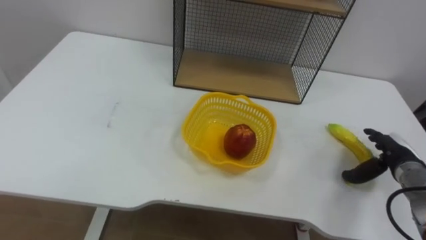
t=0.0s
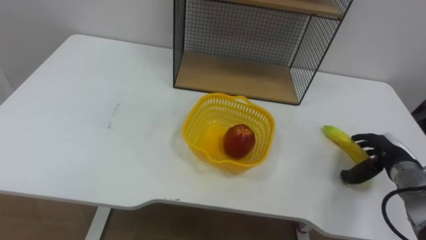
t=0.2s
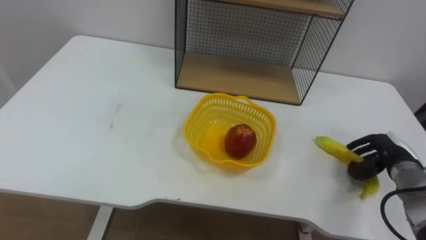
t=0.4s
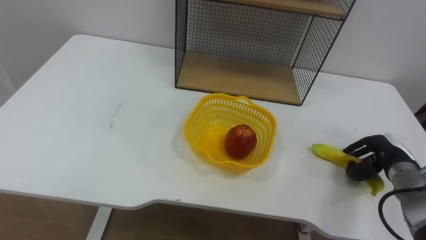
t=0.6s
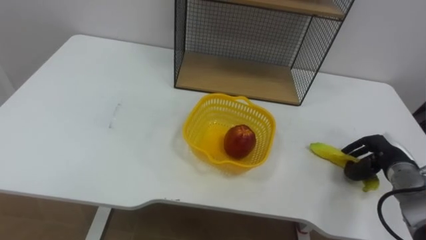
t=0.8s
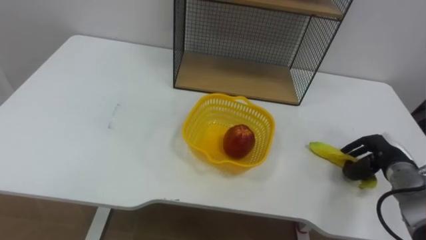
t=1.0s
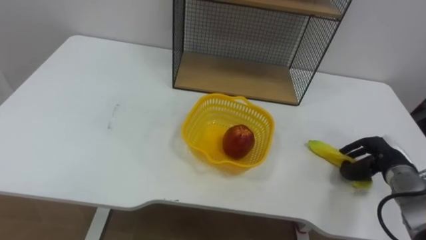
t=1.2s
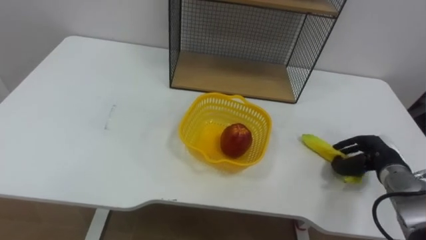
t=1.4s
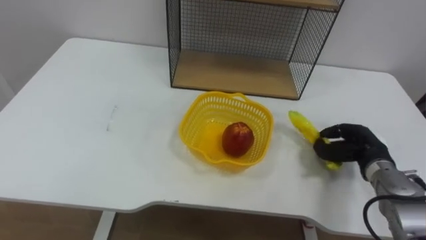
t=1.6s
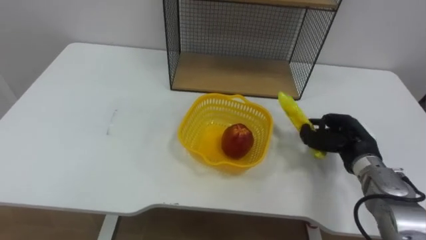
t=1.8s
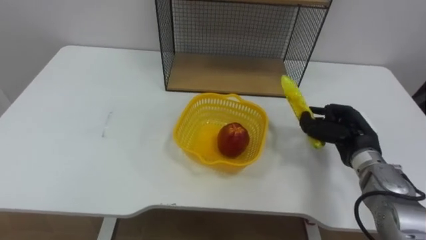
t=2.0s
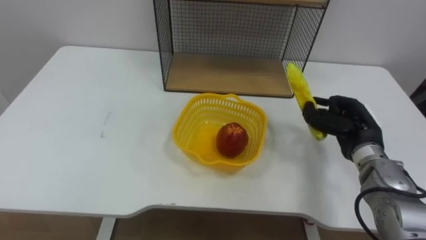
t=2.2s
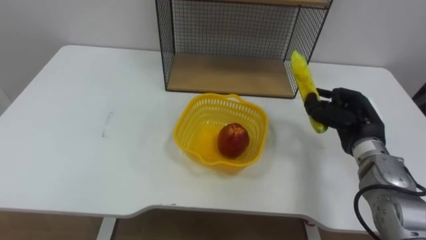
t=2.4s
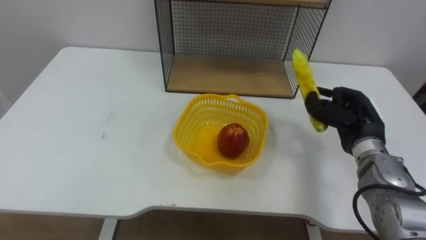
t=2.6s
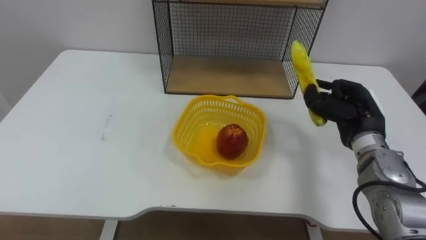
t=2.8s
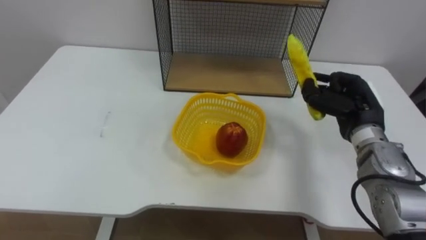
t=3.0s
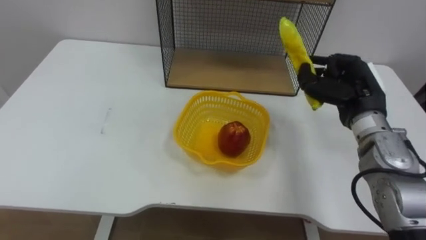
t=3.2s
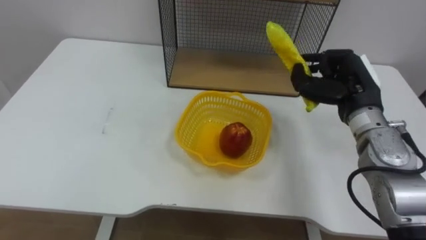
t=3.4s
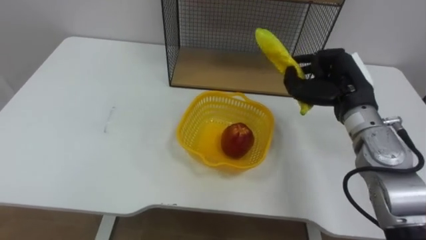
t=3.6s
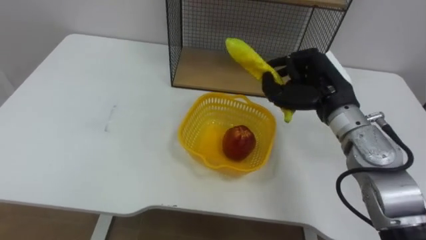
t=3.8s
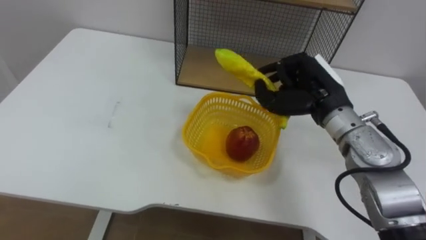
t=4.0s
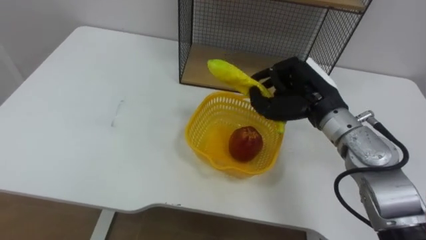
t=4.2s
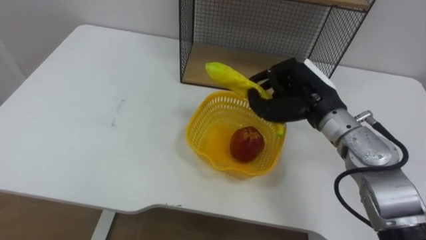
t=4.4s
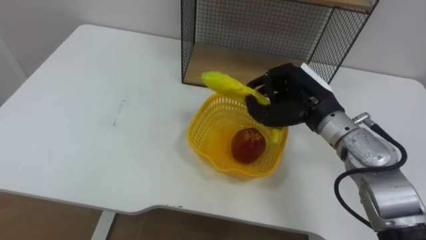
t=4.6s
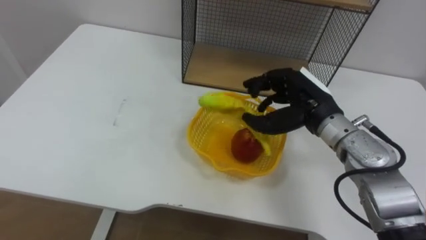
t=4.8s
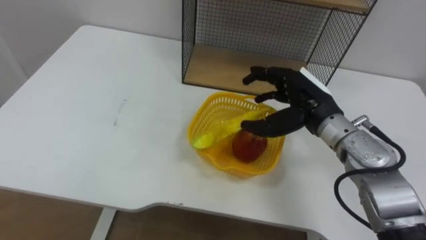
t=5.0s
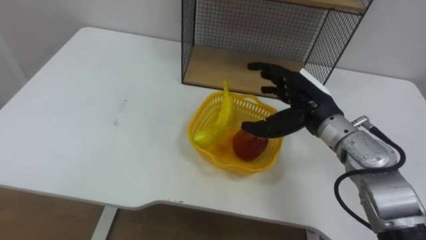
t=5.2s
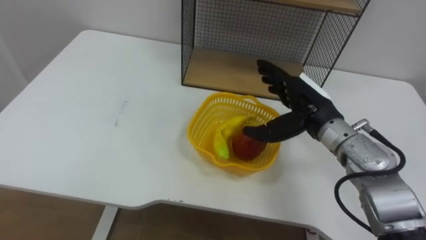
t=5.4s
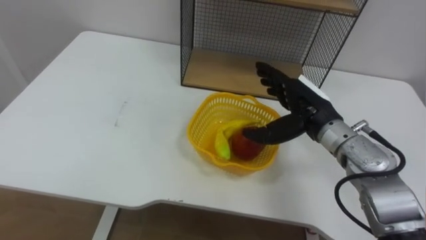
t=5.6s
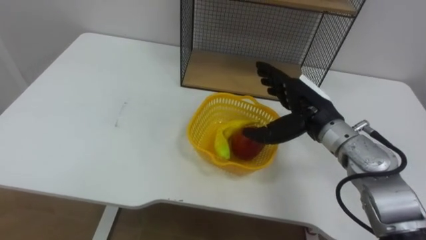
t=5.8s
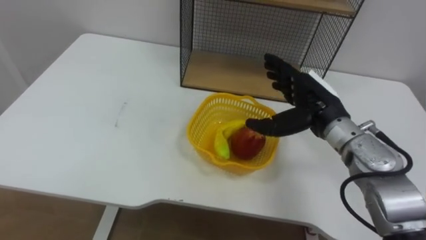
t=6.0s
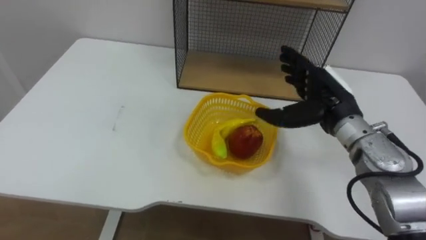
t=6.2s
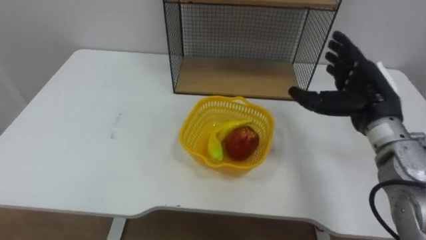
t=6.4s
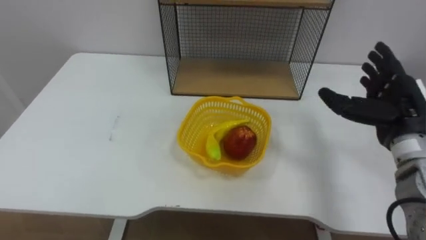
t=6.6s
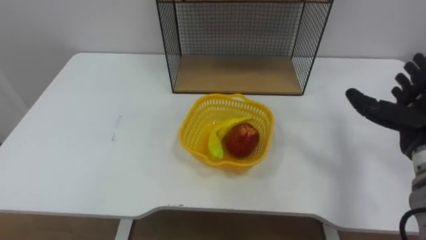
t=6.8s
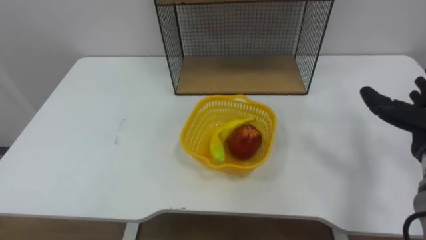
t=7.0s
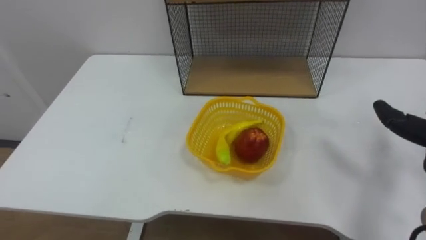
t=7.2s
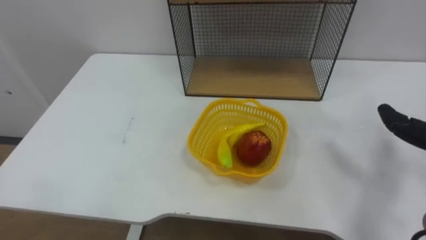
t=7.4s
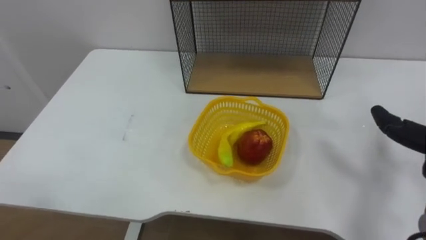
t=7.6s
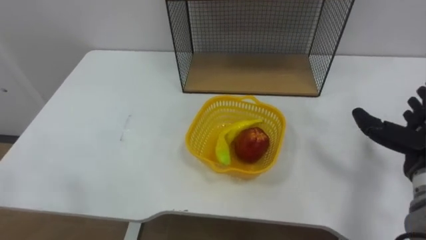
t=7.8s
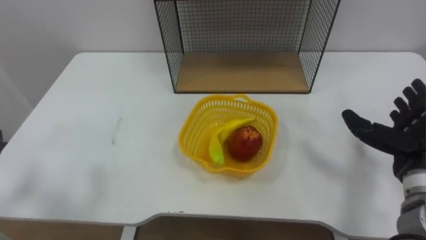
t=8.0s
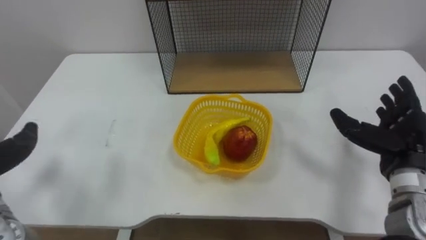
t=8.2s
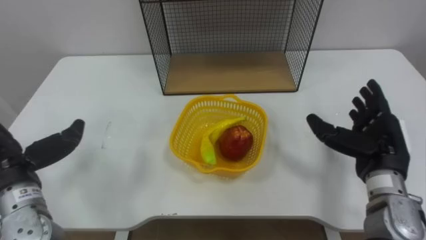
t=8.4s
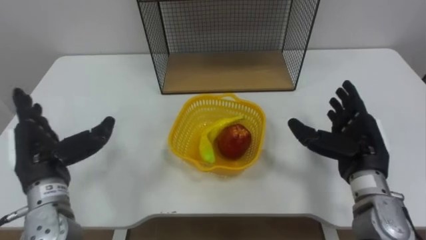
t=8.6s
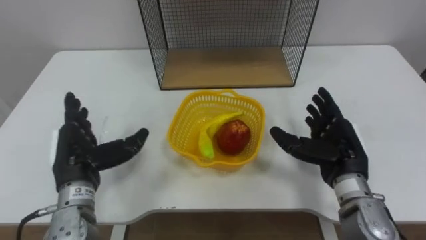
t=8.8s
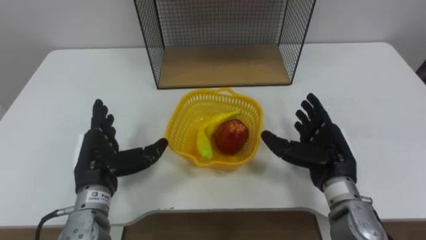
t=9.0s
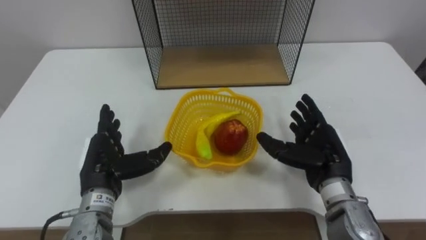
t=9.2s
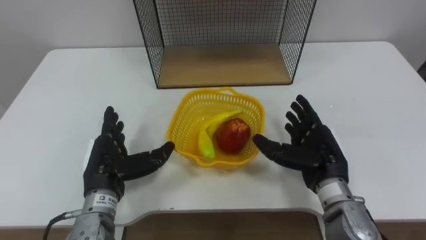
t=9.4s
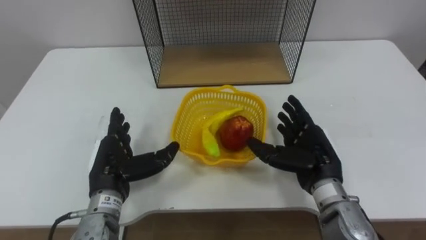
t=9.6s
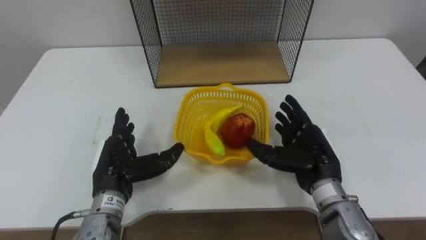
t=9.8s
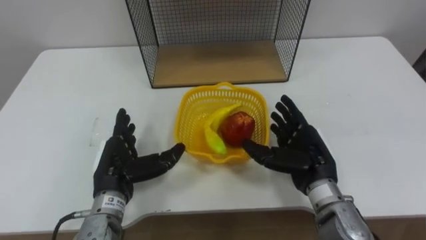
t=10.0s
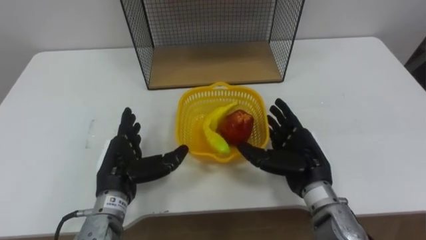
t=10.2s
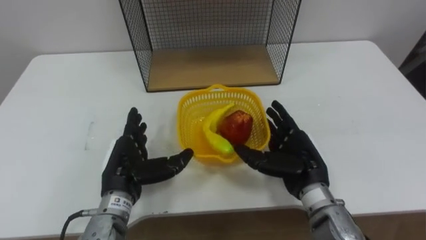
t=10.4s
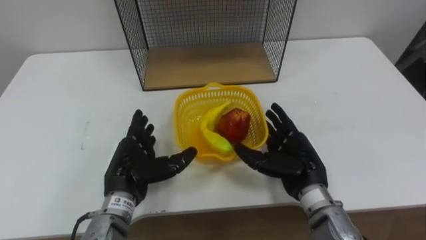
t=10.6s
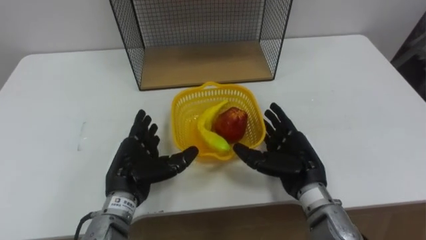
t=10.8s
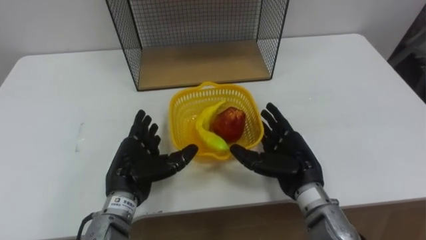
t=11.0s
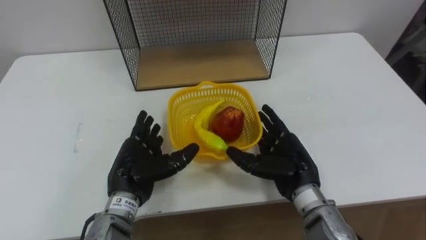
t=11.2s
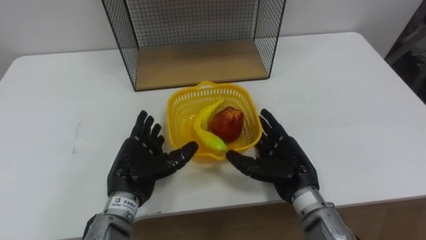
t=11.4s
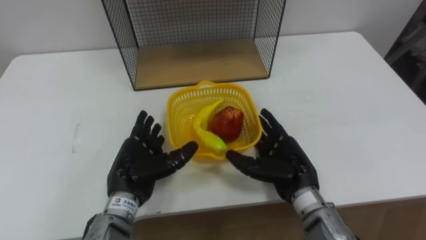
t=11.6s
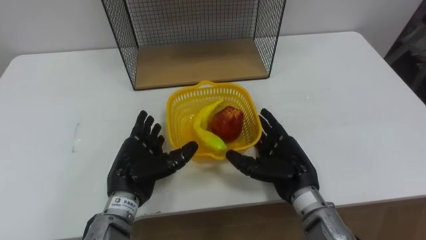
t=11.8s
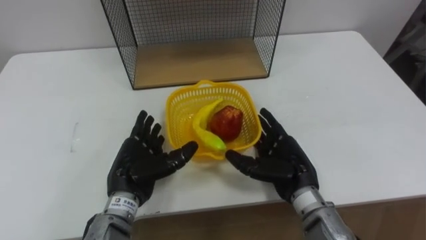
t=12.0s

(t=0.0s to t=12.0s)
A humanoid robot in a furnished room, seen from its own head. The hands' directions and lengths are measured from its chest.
Task of the whole recording: Put the fruit on the table into the basket, then place the basket on the shelf.
t=0.0s - t=1.6s: The right hand shifts about 5 cm to the left, and closes its fingers.
t=1.6s - t=3.0s: The right hand goes roughly 10 cm upward and to the left.
t=3.0s - t=4.4s: The right hand moves to the left, some 10 cm.
t=4.4s - t=6.0s: The right hand opens up.
t=9.0s - t=10.4s: The right hand changes place by approximately 5 cm.

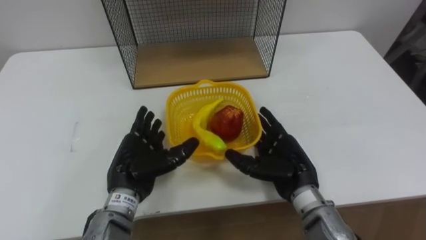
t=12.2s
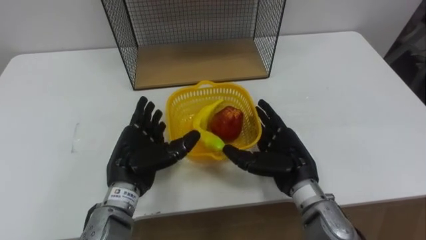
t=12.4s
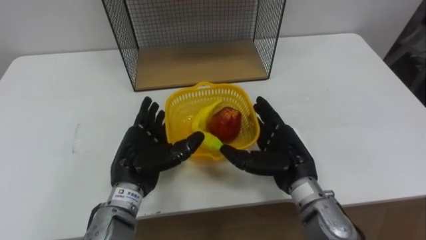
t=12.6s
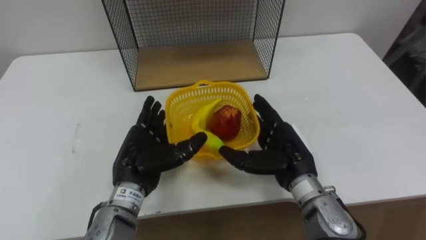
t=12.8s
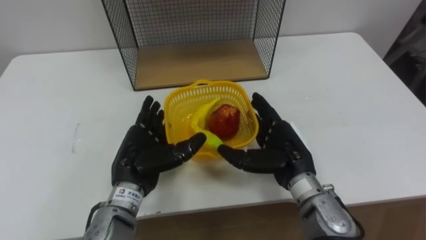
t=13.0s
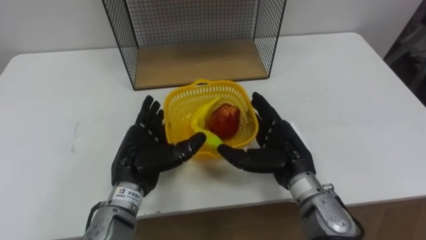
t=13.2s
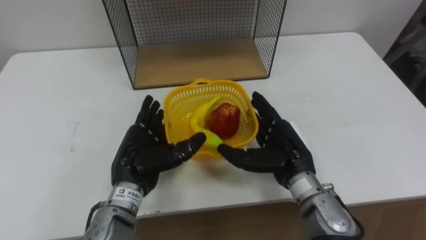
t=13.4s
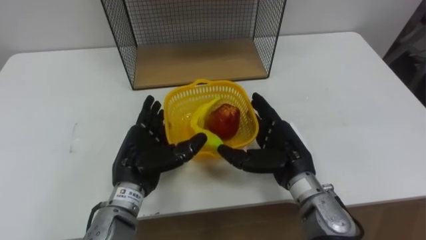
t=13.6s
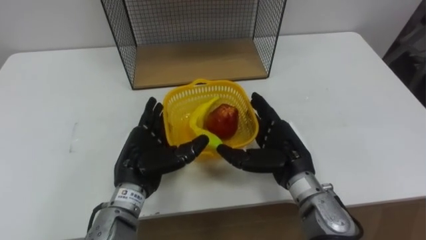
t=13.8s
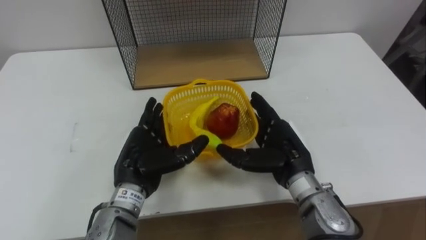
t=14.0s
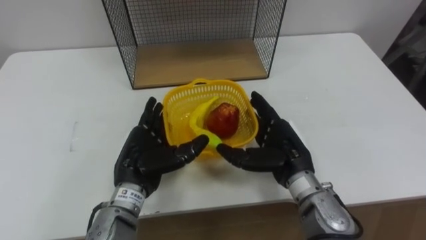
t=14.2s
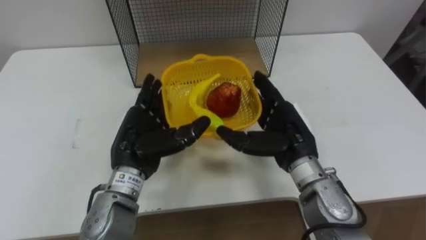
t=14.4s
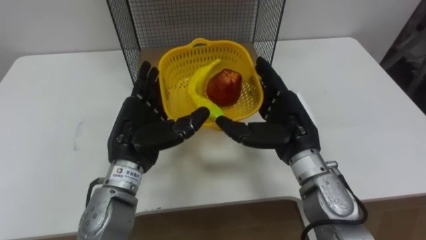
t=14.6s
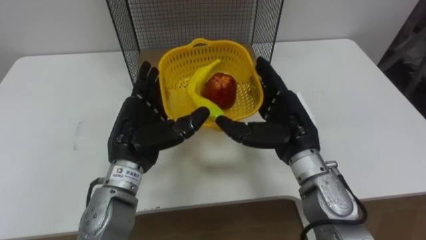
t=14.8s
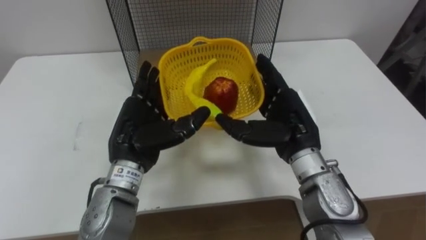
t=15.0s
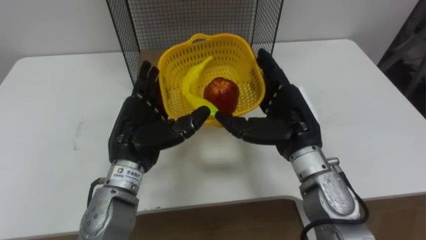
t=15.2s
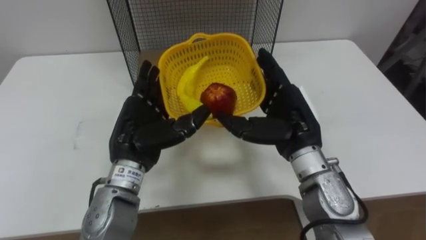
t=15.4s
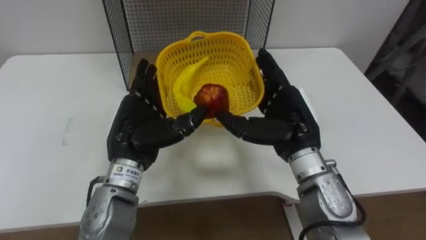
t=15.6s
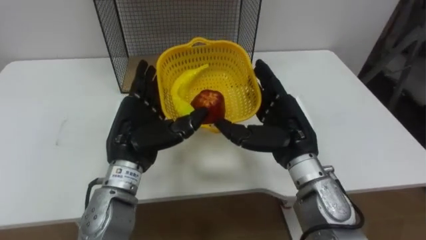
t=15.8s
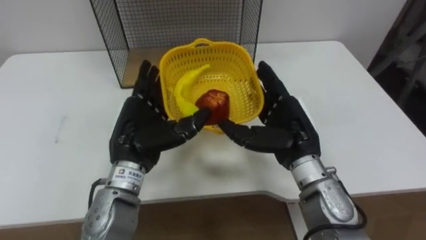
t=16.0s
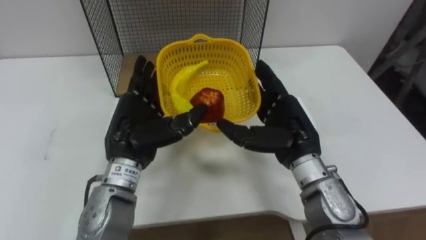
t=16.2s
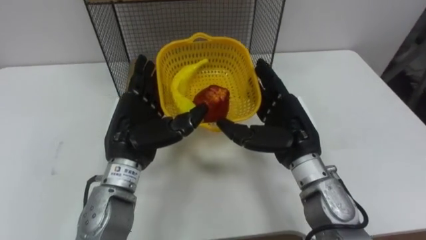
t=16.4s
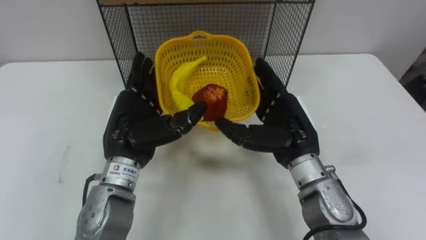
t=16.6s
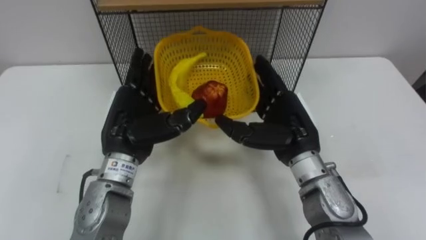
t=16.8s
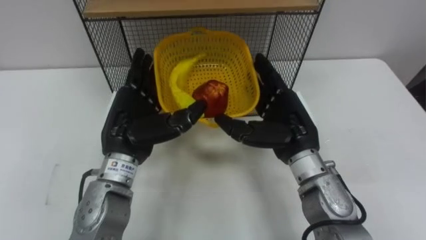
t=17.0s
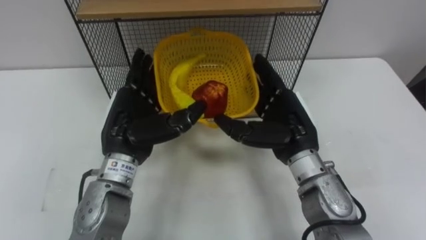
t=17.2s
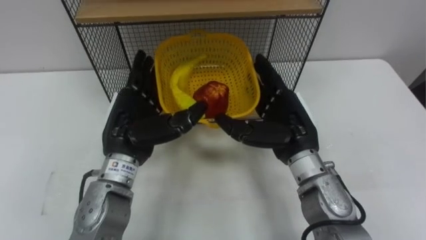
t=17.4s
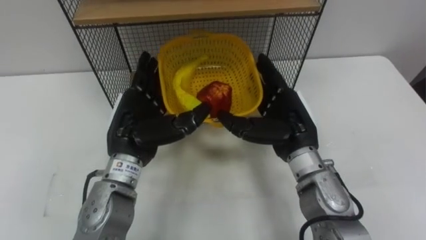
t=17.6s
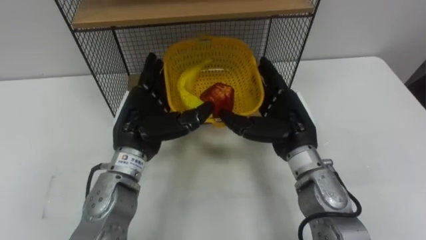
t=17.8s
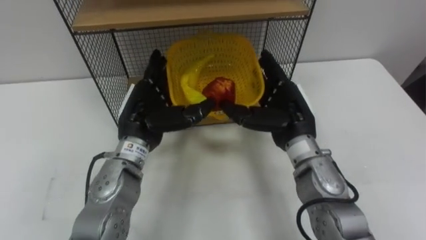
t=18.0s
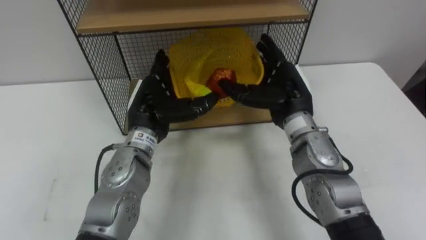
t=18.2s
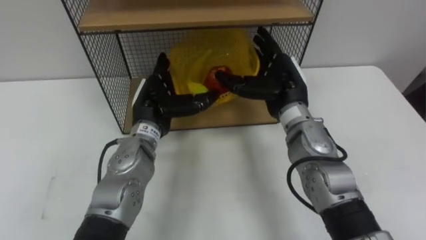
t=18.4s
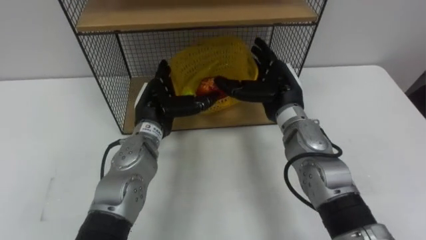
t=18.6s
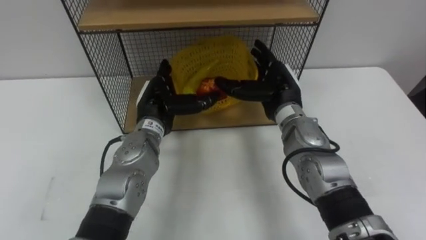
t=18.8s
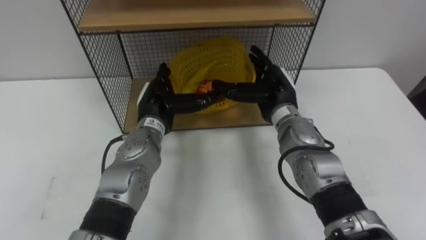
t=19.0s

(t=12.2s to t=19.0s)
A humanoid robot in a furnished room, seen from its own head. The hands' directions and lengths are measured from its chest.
Task of the whole recording: Put the fruit on the table into the basket, then place the basket on the shelf.
t=12.2s - t=13.6s: The hands move only a little.
t=13.6s - t=15.0s: The two hands go about 5 cm upward.
t=17.6s - t=19.0s: The left hand shifts roughly 10 cm forward and downward. The right hand moves forward, some 10 cm.
